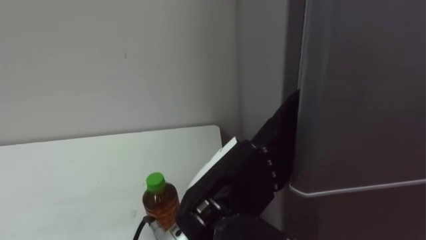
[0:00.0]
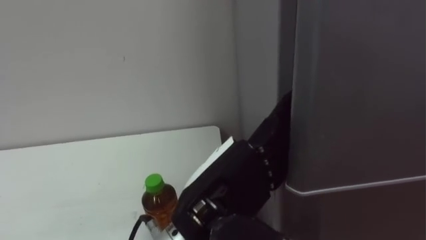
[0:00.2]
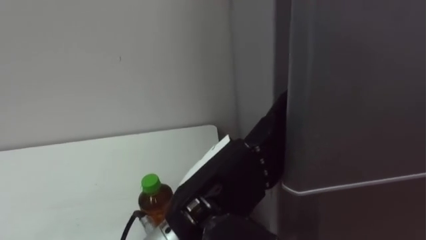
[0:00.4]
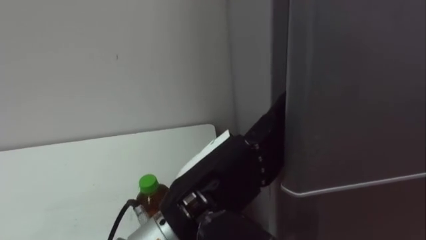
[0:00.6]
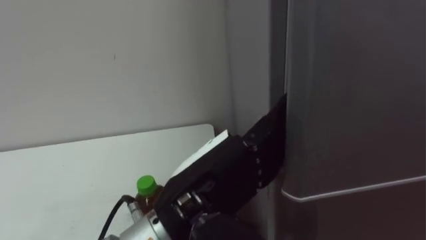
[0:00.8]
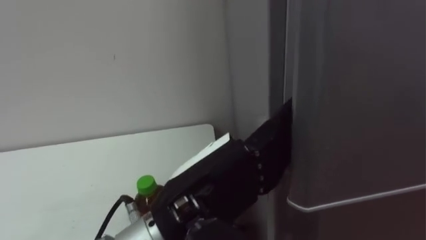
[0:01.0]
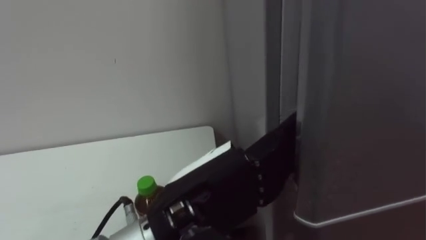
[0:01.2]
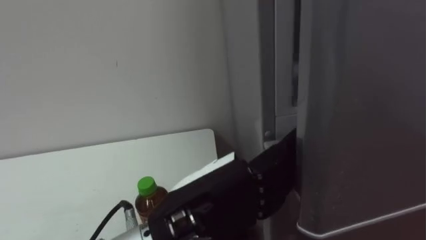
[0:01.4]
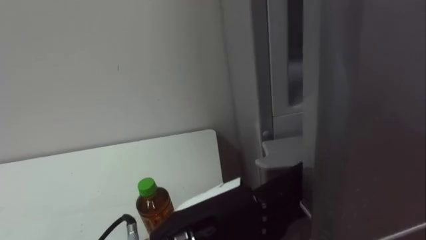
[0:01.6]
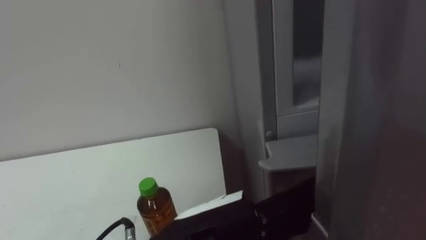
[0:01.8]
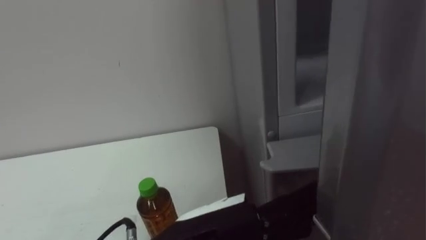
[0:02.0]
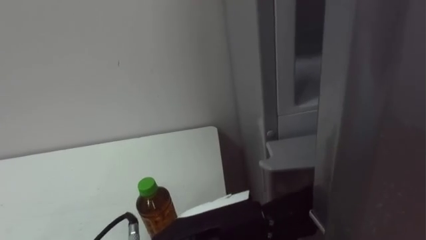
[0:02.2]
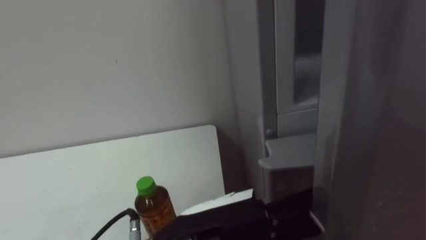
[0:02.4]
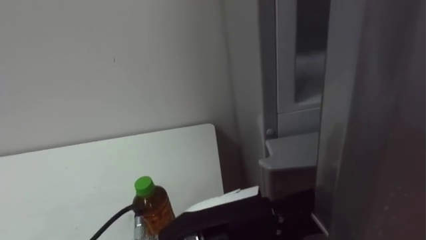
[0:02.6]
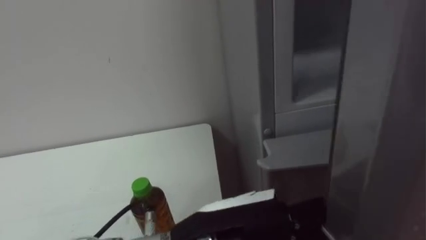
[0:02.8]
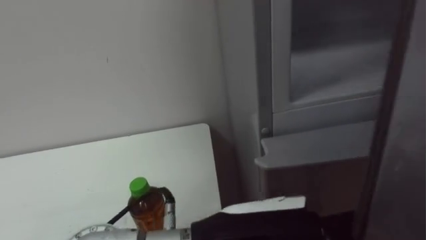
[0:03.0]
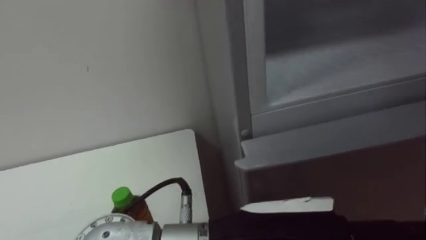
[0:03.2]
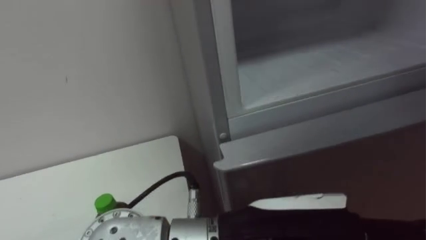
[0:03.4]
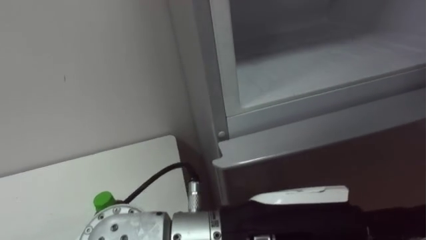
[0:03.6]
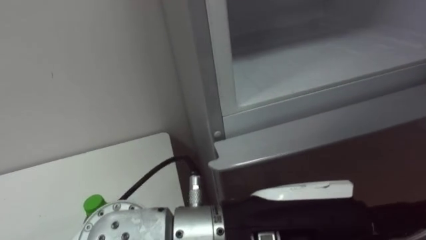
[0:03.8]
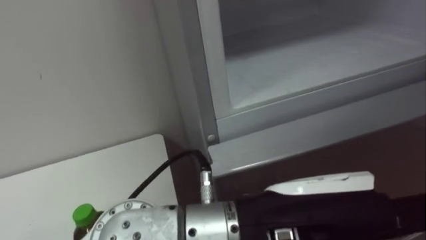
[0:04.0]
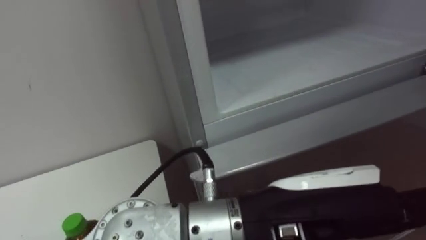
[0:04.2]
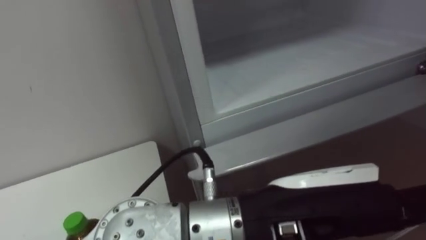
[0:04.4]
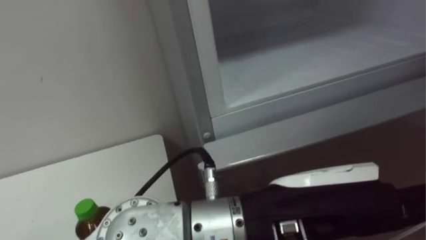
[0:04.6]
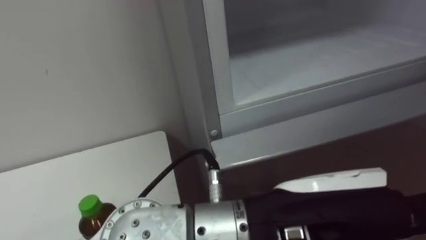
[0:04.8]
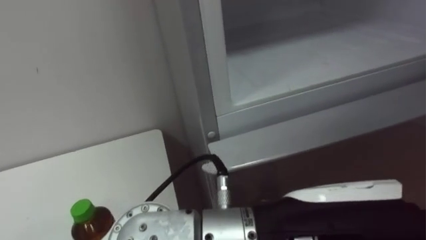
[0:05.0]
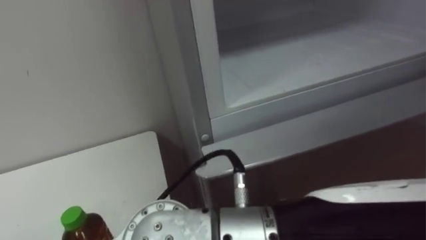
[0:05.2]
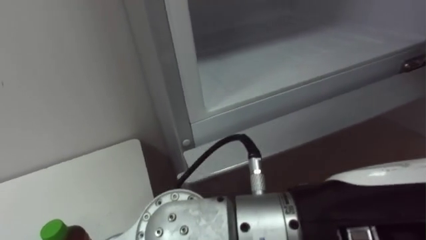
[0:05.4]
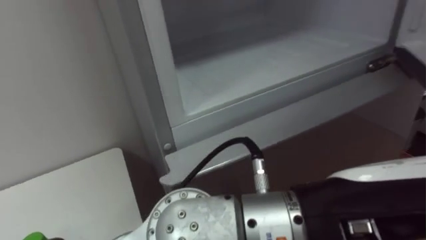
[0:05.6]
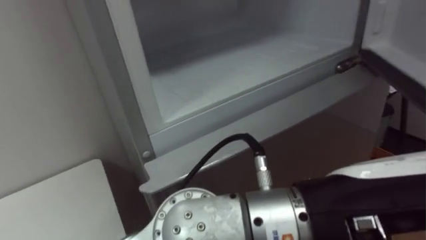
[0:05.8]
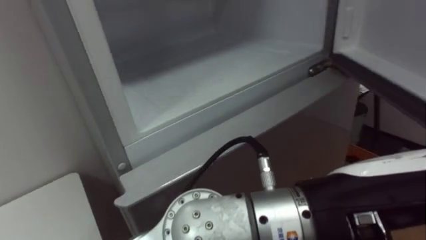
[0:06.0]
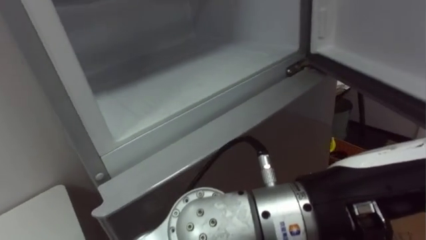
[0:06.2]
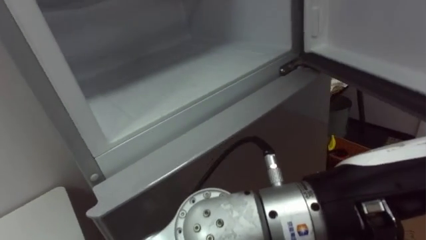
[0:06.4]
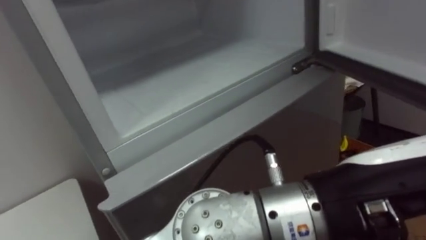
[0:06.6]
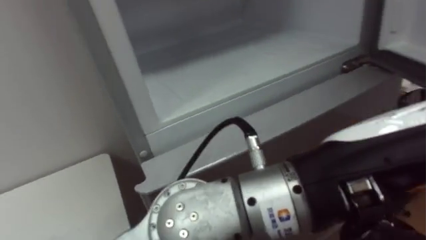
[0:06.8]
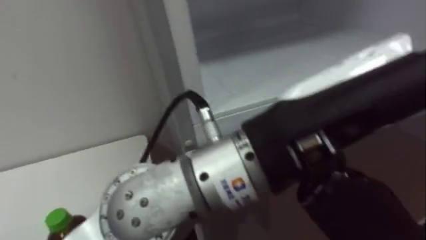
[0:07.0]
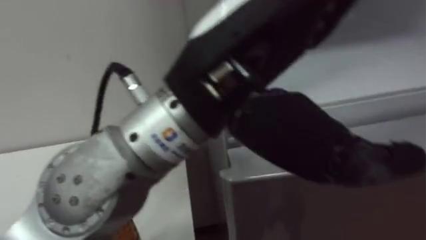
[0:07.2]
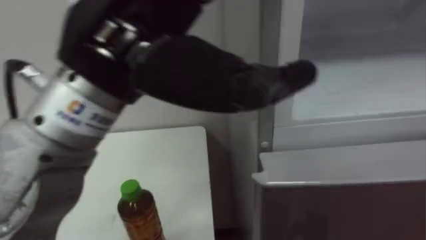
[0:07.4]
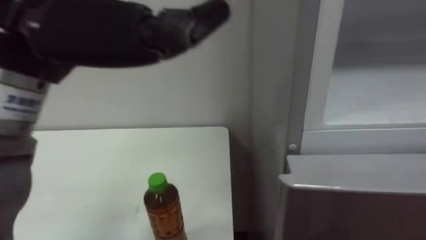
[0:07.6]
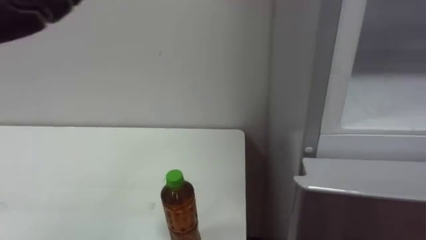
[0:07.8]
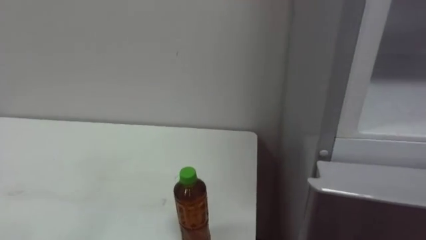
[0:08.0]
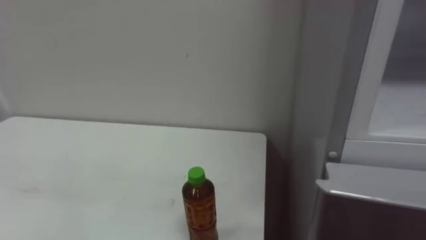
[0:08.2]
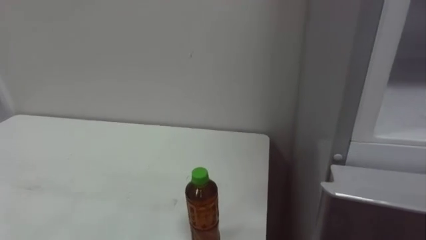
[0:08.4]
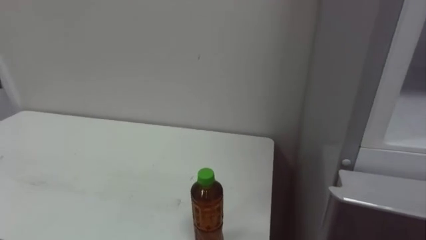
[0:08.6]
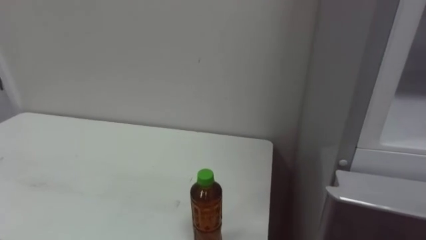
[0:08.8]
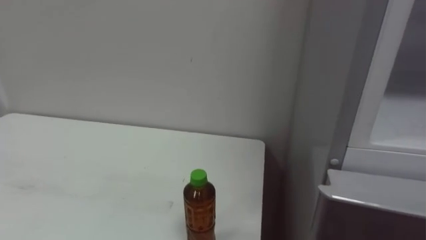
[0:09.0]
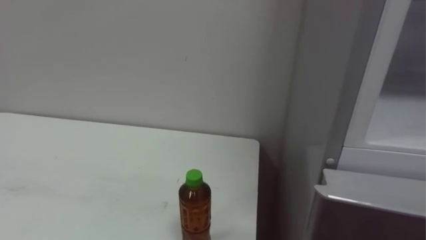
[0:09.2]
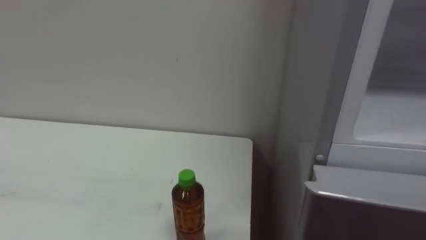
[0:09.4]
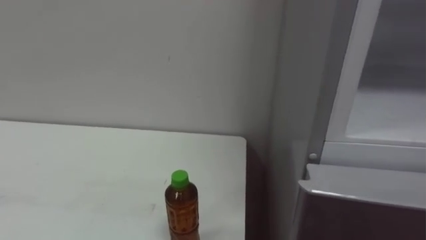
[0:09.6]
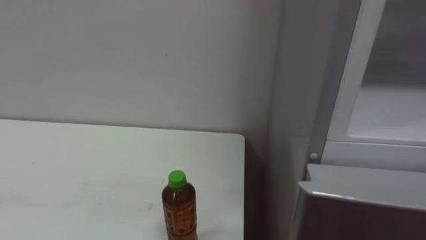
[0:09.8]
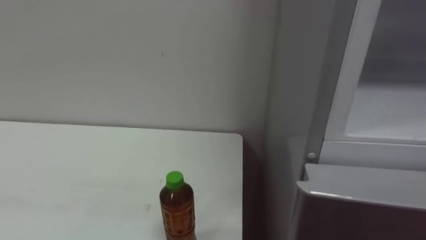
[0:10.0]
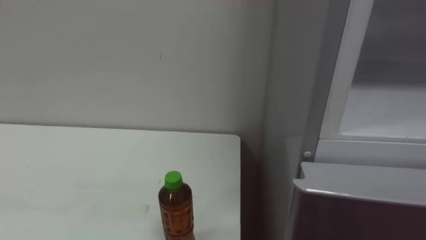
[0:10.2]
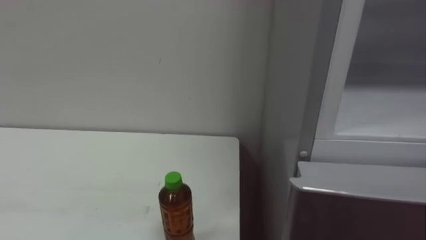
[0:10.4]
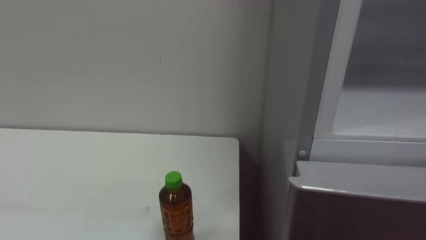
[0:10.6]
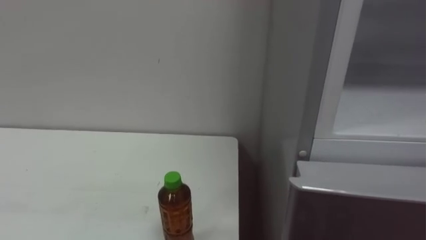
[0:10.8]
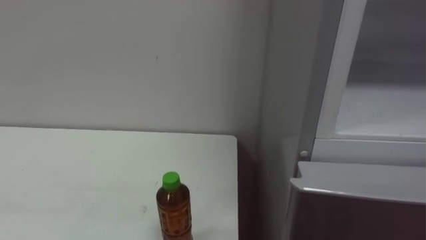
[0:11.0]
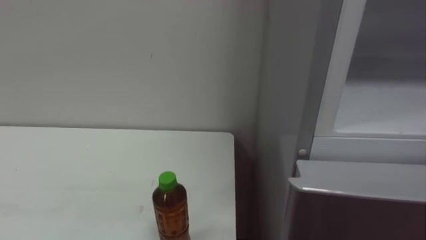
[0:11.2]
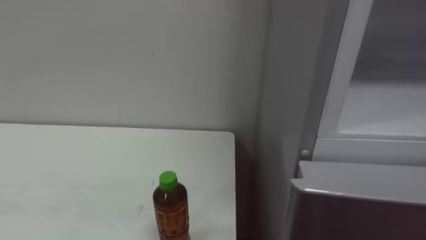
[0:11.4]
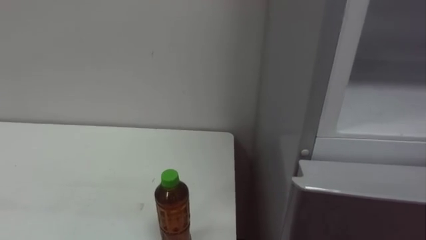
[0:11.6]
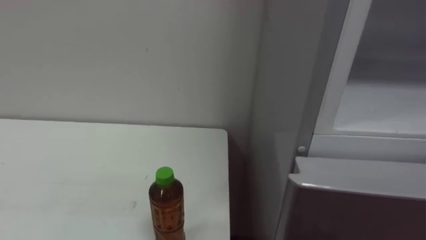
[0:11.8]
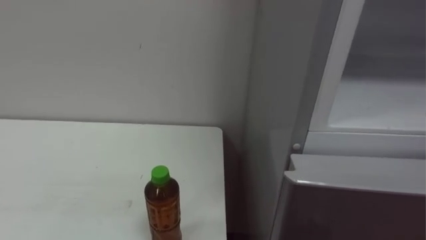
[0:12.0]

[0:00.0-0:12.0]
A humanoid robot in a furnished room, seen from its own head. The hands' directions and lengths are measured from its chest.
Task of the whole recording: Open the upper refrigerator door, put the drink from the table into the refrigerator, and then close the refrigerator door.
0:03.0 to 0:04.4: The left hand ends up roughly 5 cm from where it was.
0:04.4 to 0:06.0: The left hand moves roughly 5 cm.
0:06.0 to 0:07.6: The left hand goes roughly 25 cm to the left and upward.

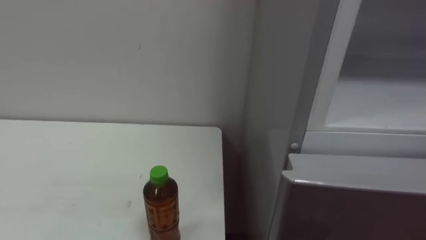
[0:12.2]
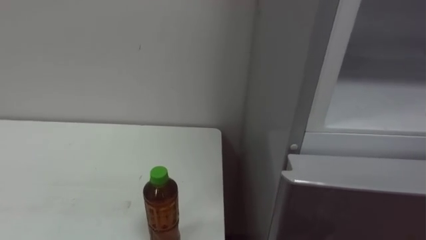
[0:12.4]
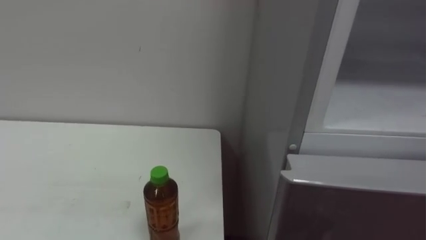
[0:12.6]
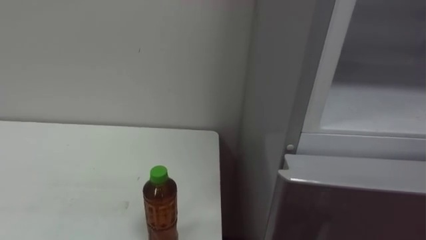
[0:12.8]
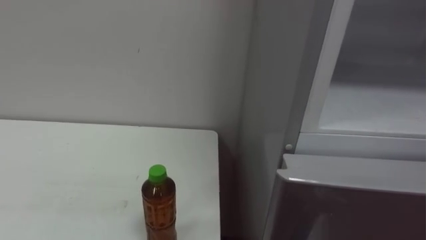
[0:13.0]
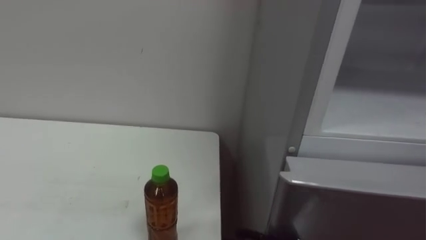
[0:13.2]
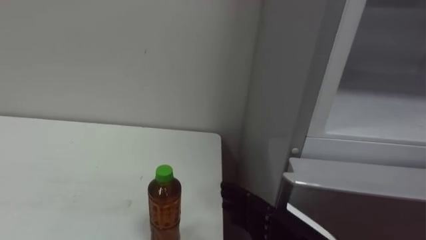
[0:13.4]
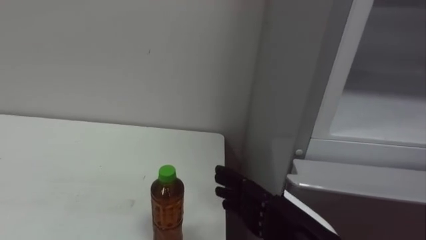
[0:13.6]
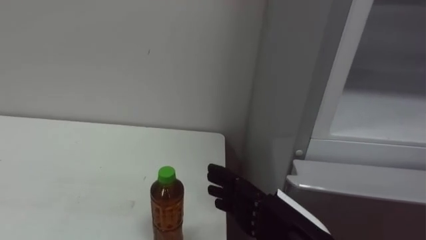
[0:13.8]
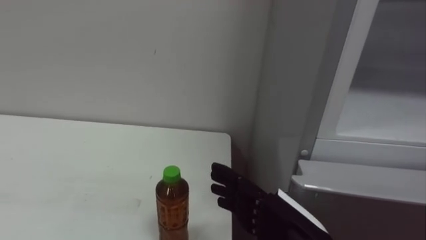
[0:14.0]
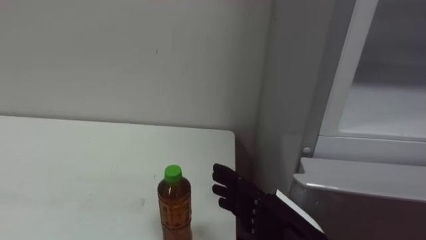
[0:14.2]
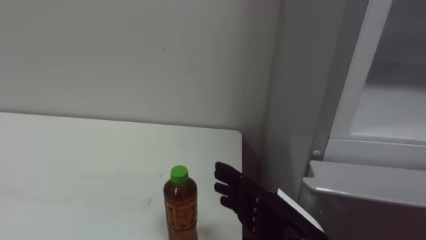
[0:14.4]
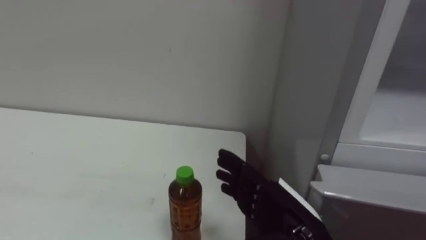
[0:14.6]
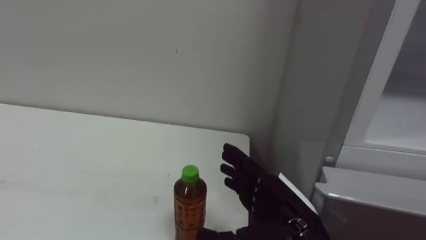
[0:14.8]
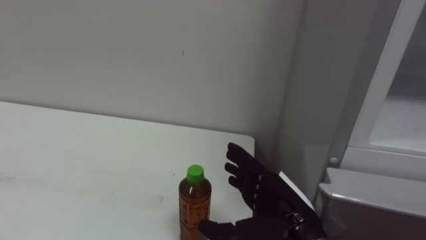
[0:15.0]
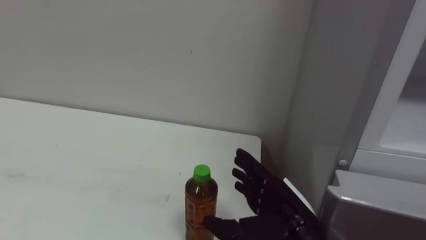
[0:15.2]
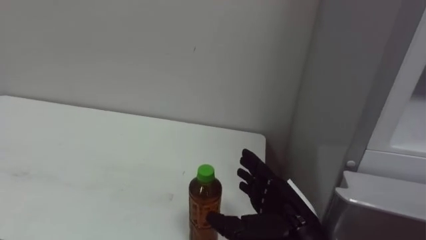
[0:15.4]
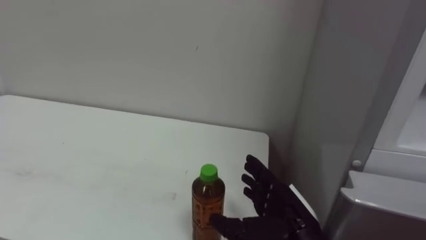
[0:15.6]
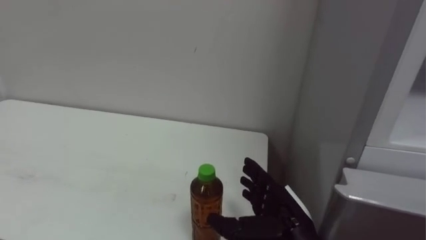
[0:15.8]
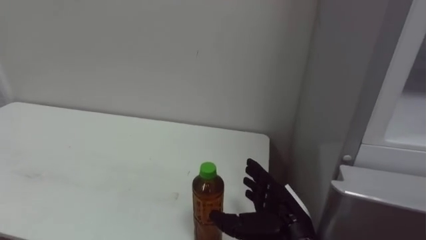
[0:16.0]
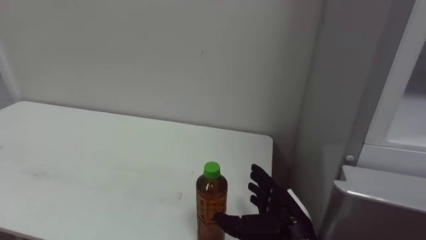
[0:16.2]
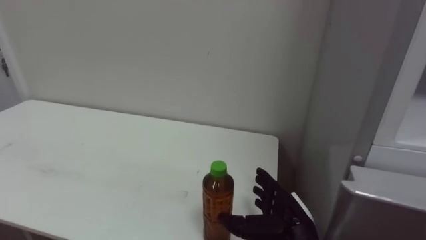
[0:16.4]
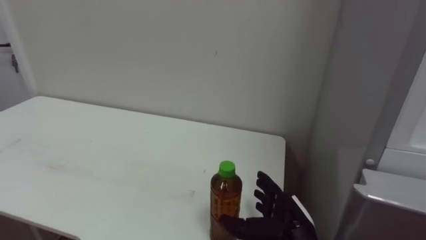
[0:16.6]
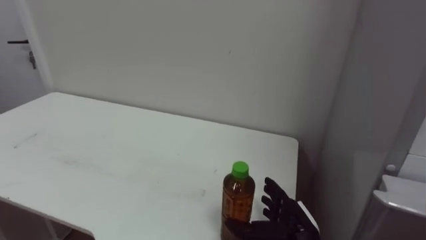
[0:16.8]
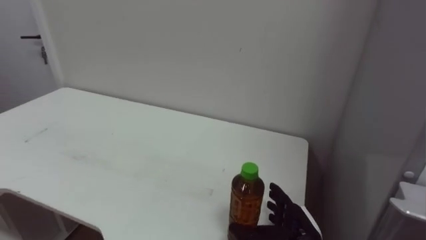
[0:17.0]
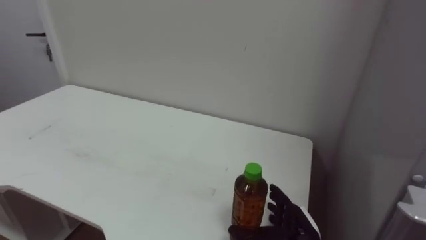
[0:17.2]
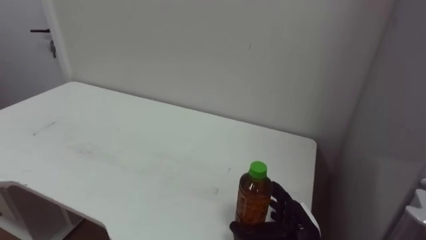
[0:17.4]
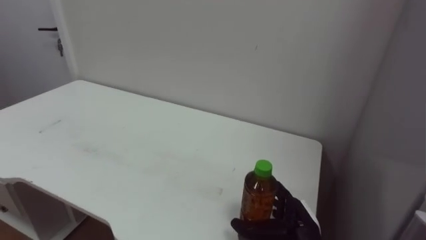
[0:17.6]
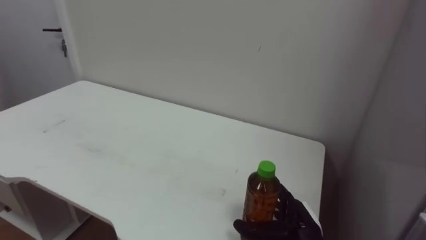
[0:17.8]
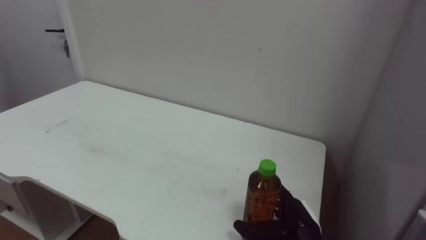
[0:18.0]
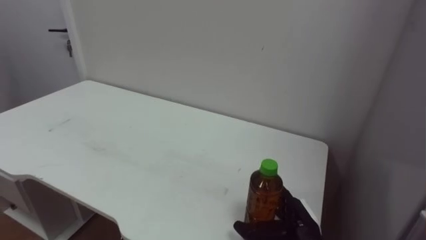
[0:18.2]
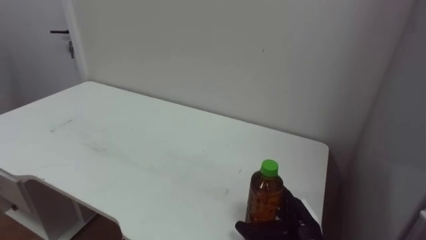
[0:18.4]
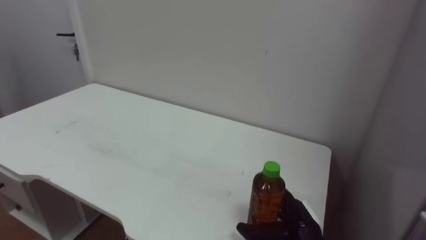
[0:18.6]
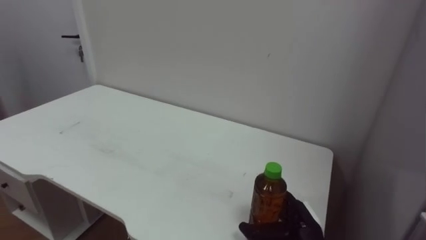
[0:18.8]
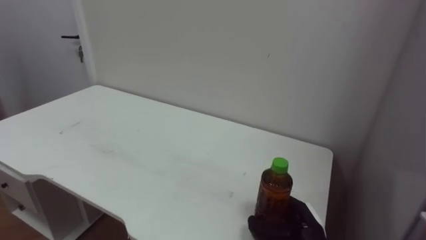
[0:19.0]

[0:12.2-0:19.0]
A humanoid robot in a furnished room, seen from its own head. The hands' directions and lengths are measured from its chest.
Task of the whole recording: Open the upper refrigerator door, put the drink from the table into the refrigerator, and then close the refrigerator door.
0:13.6 to 0:15.0: The right hand shifts roughly 5 cm forward.
0:15.0 to 0:16.2: The right hand travels downward by roughly 5 cm.
0:16.2 to 0:17.6: The right hand ends up about 5 cm from where it was.
